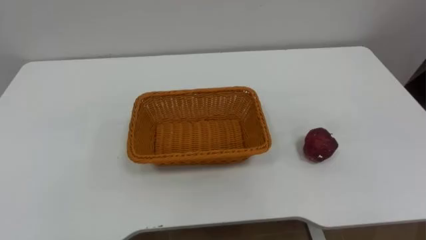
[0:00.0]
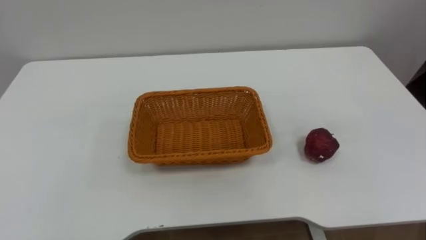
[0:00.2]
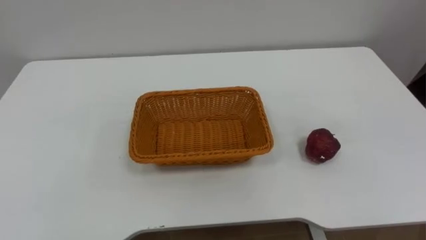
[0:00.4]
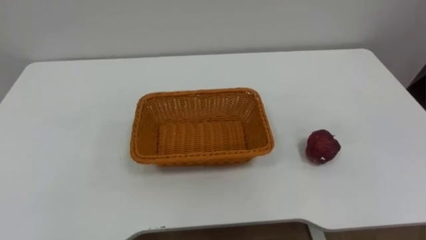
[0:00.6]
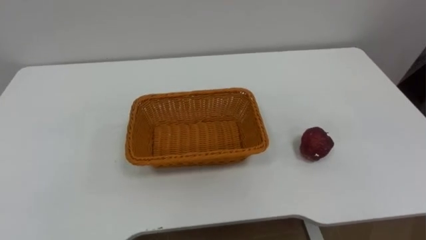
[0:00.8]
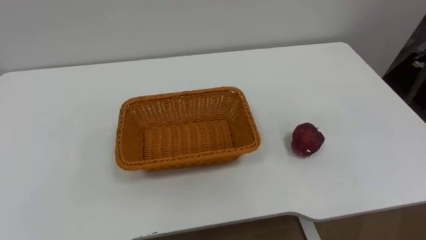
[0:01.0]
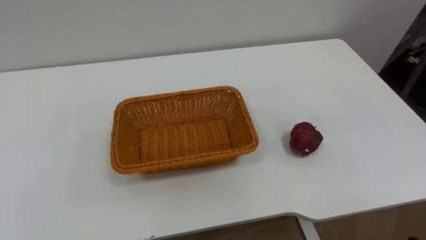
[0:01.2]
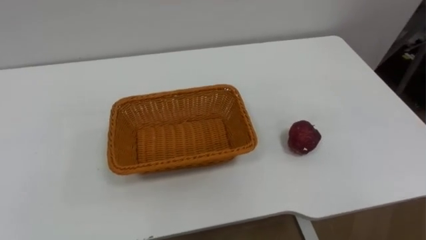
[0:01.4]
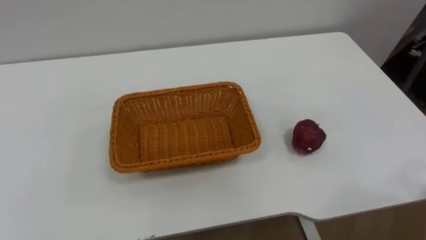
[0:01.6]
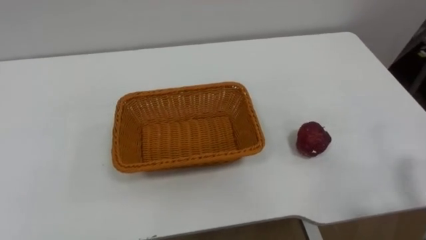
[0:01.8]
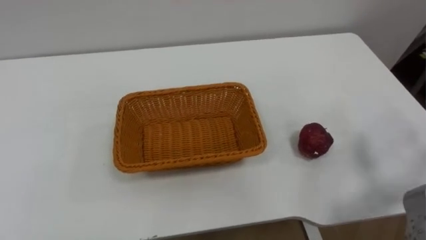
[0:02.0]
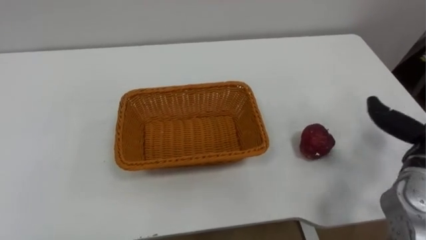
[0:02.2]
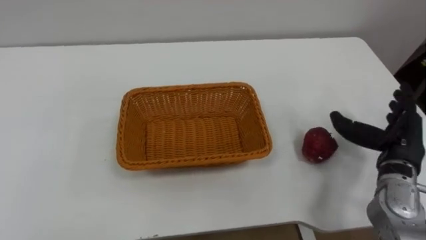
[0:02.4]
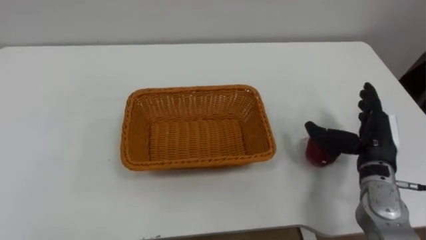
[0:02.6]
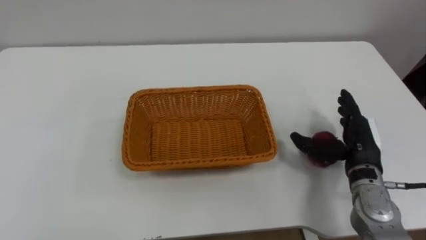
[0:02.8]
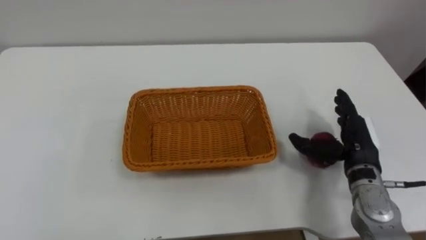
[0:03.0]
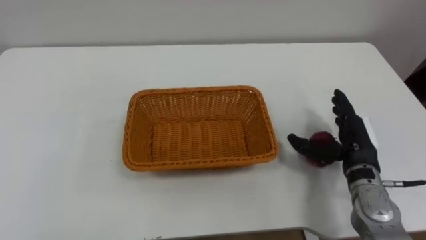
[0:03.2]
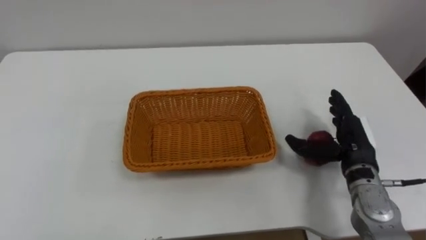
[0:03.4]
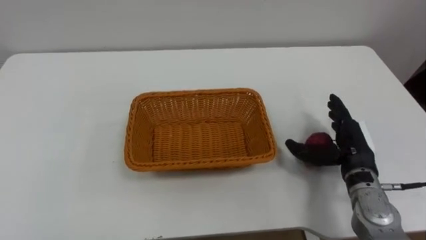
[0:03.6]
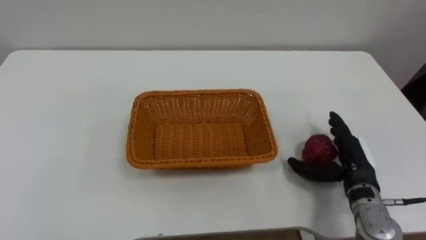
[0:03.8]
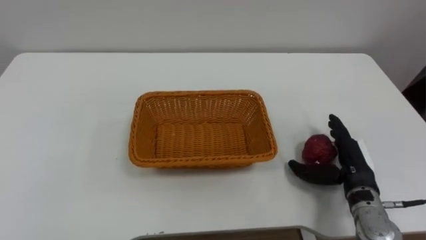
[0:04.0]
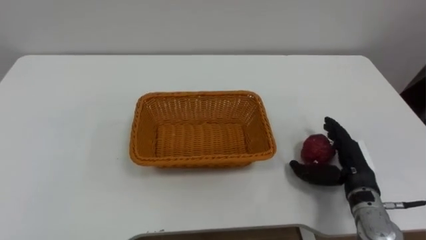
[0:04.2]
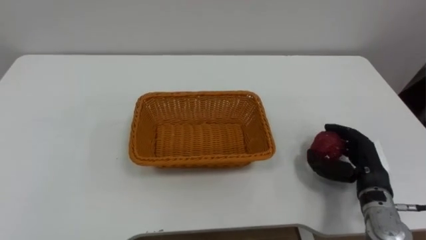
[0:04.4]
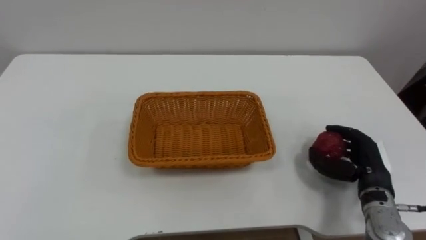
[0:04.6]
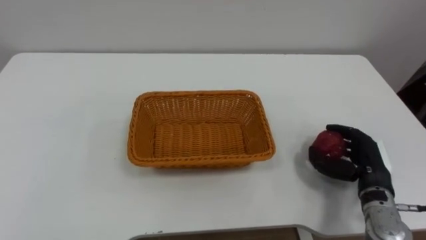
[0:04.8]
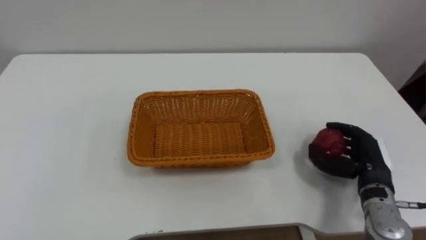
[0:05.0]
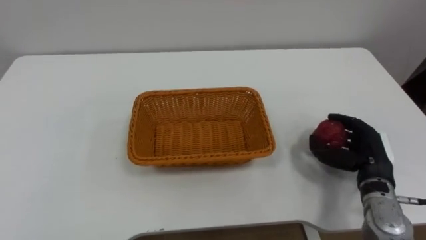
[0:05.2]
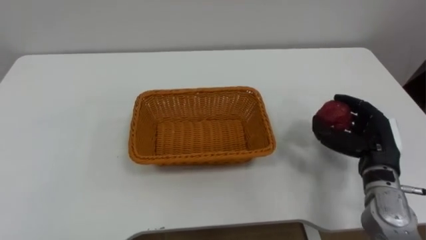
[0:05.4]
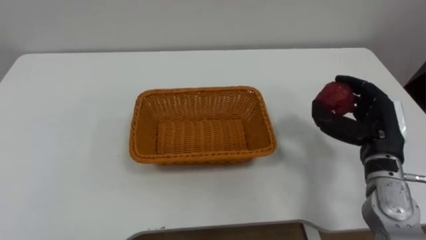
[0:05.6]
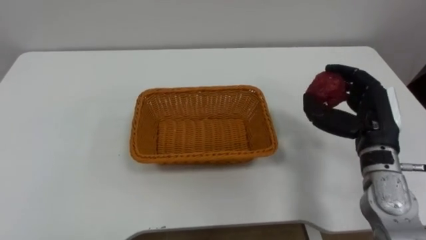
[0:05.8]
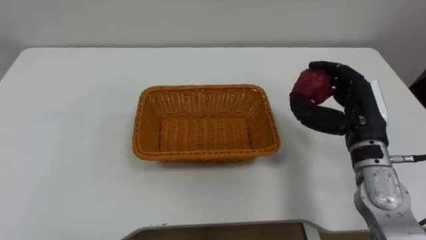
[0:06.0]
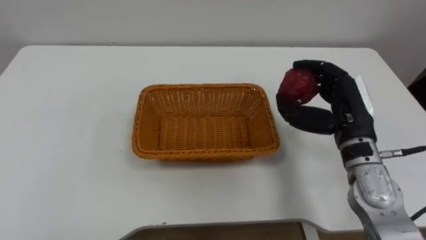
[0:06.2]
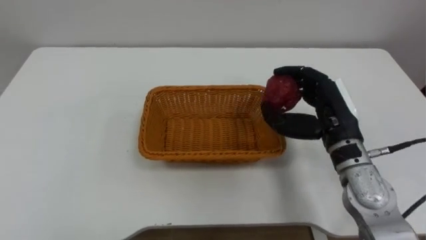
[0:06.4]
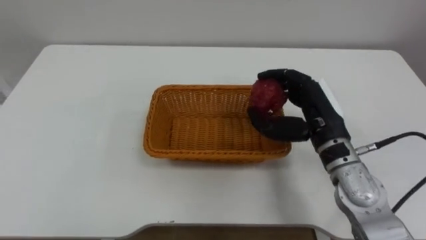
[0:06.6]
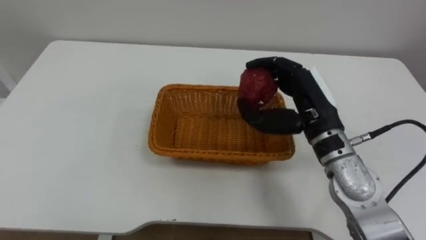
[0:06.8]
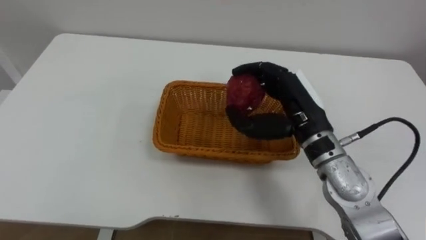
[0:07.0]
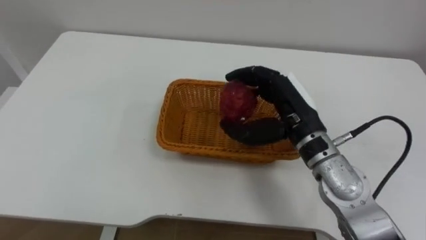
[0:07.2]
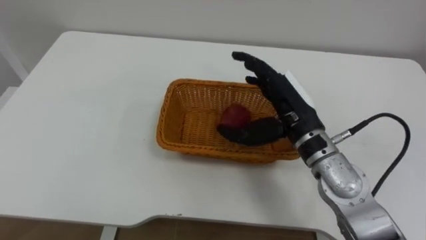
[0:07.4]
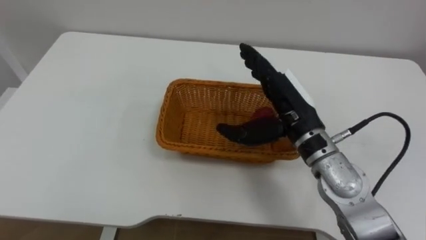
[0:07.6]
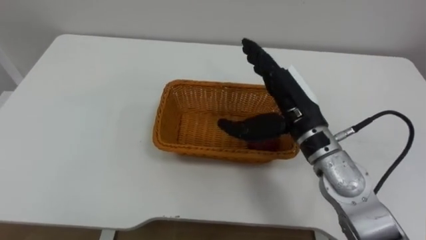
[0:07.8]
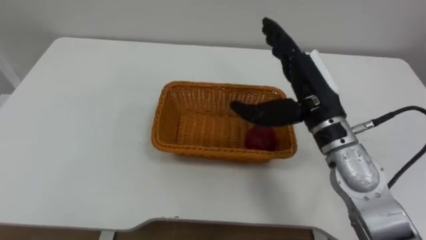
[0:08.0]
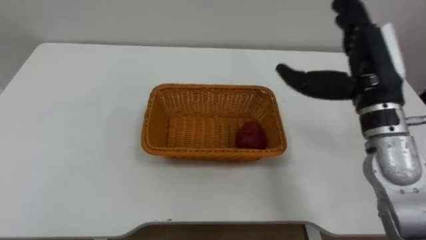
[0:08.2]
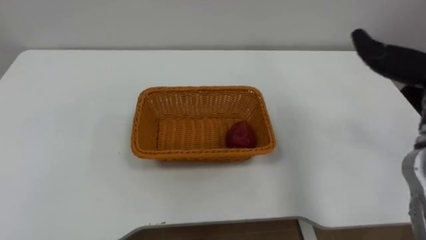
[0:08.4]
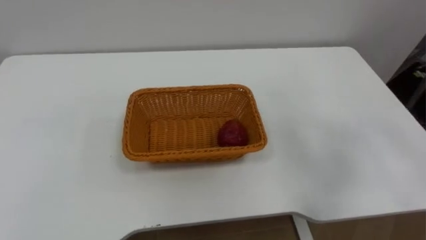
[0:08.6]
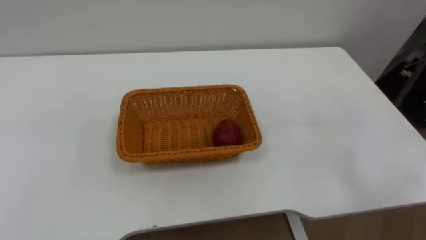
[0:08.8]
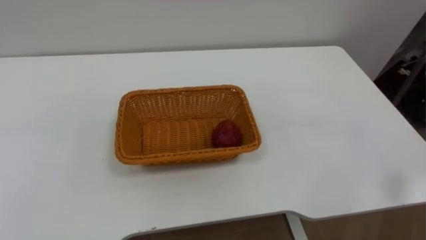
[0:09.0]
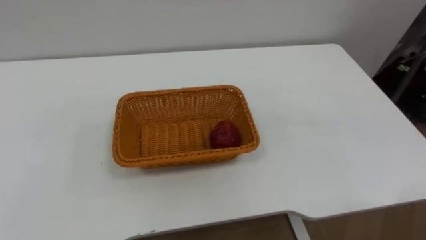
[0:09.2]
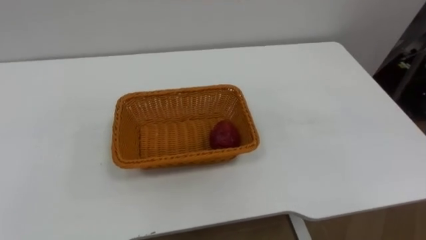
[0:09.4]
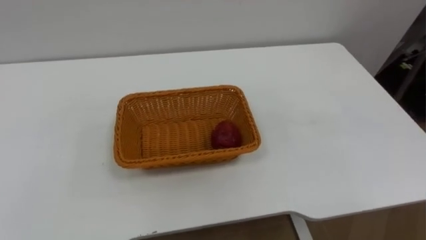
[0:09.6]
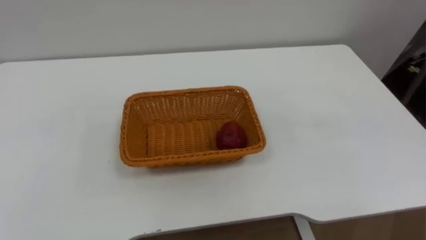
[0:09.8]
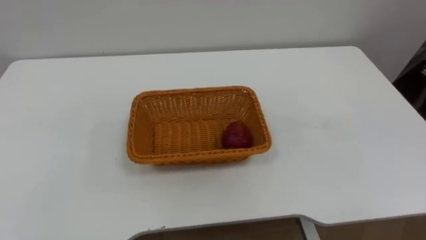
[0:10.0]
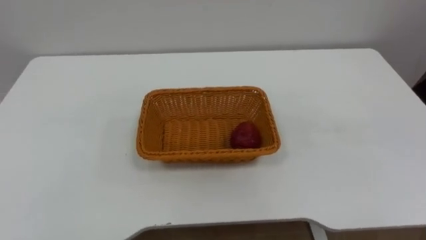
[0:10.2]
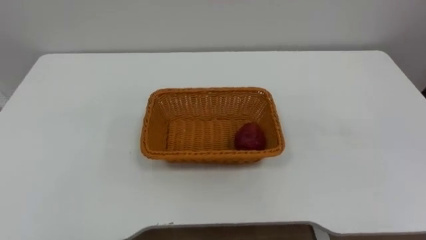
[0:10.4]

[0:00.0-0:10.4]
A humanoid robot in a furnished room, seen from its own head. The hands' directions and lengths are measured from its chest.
Task of the whole recording: Pick the apple and place it in the box.
0:03.0 to 0:04.4: The right hand shifts by some 5 cm.
0:04.4 to 0:06.0: The right hand shifts approximately 10 cm upward.
0:06.0 to 0:07.4: The right hand goes roughly 10 cm to the left.

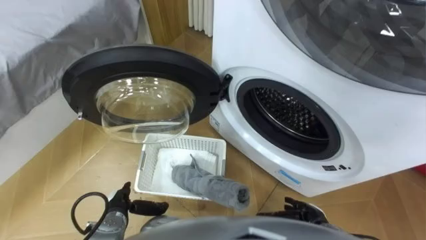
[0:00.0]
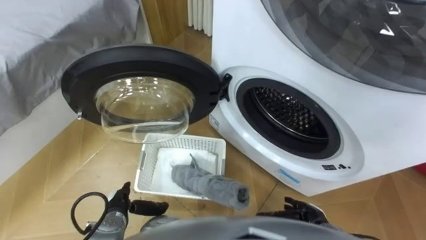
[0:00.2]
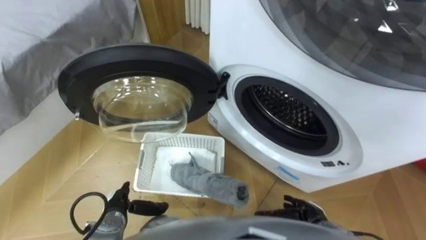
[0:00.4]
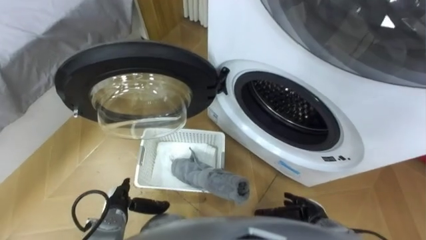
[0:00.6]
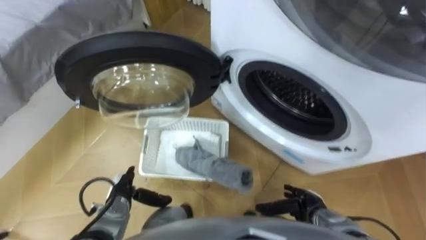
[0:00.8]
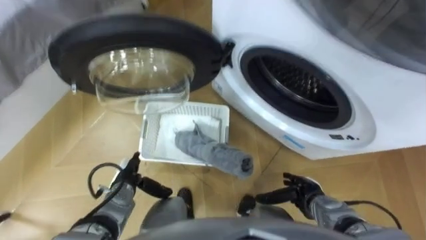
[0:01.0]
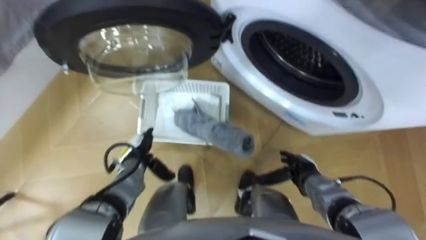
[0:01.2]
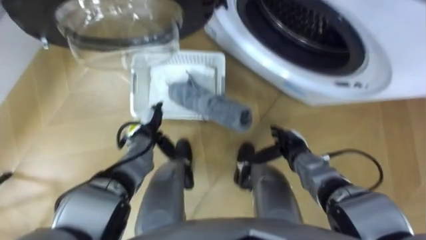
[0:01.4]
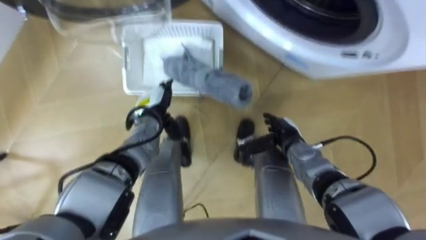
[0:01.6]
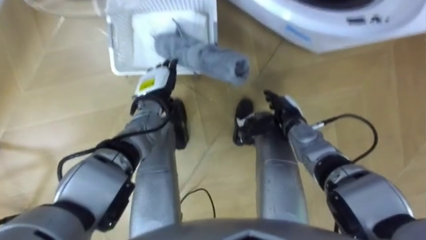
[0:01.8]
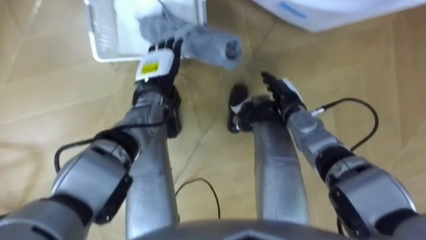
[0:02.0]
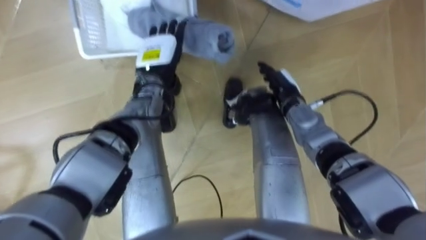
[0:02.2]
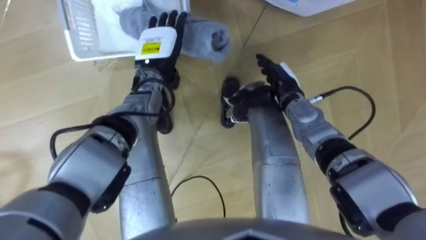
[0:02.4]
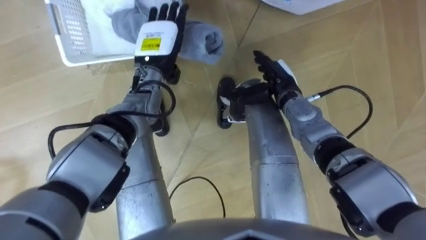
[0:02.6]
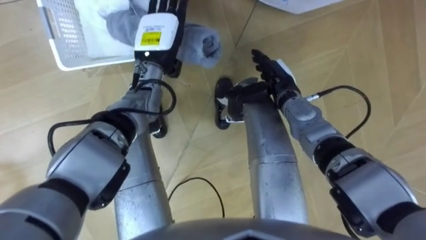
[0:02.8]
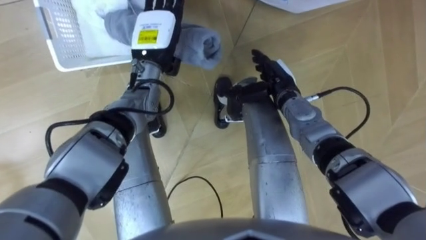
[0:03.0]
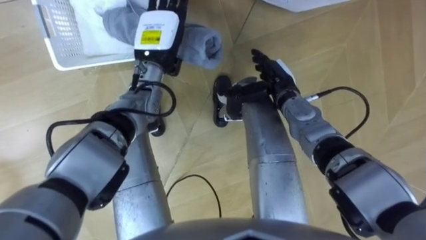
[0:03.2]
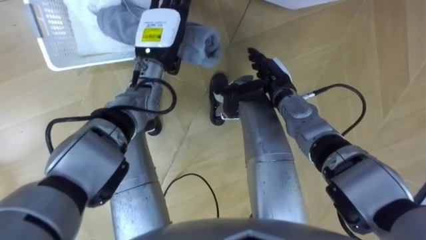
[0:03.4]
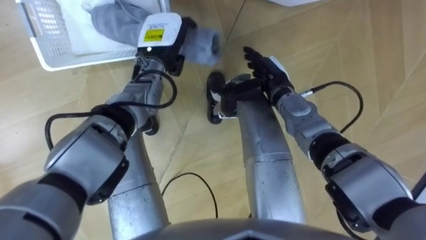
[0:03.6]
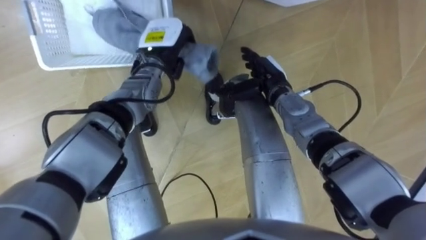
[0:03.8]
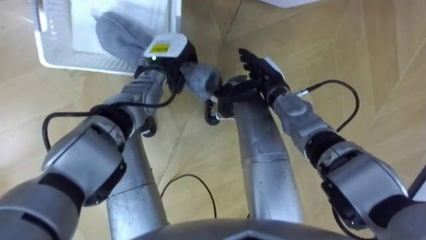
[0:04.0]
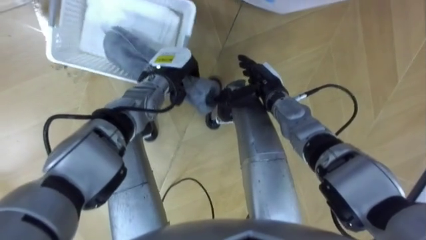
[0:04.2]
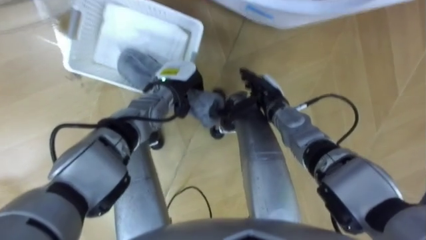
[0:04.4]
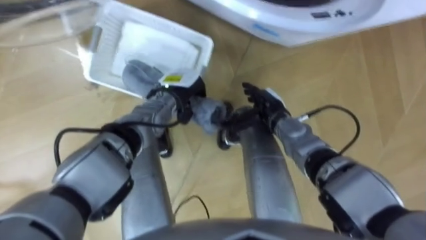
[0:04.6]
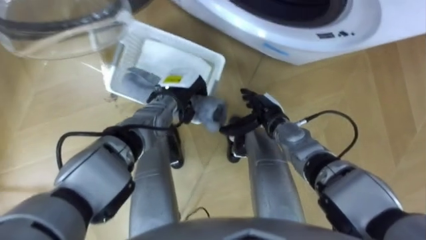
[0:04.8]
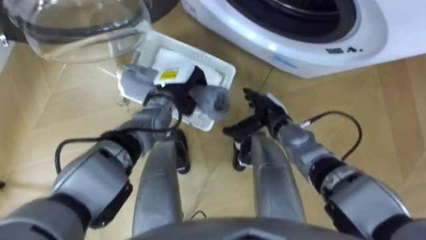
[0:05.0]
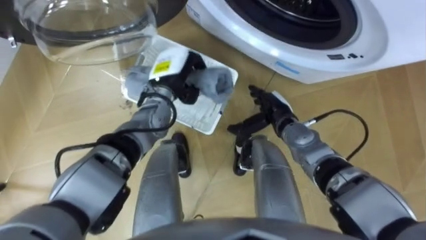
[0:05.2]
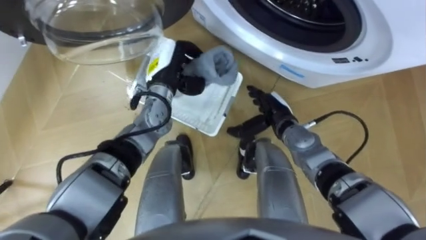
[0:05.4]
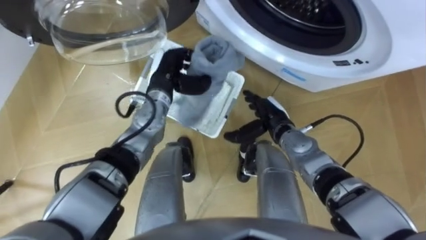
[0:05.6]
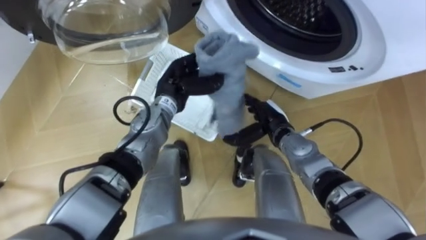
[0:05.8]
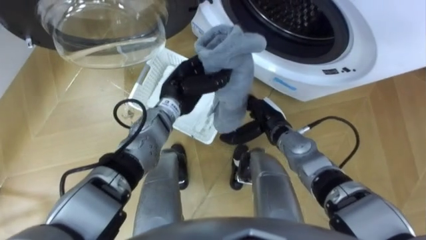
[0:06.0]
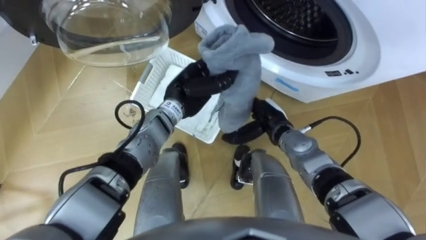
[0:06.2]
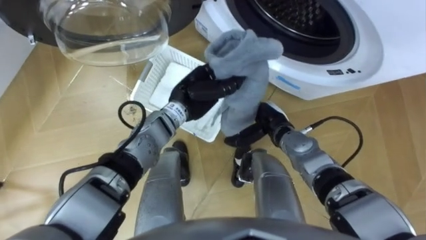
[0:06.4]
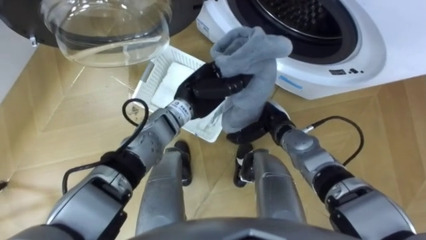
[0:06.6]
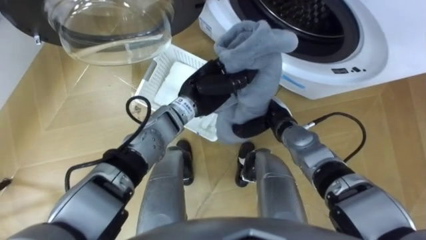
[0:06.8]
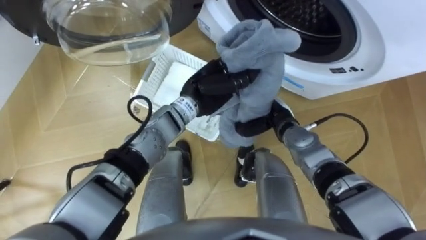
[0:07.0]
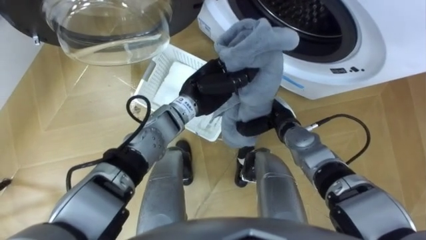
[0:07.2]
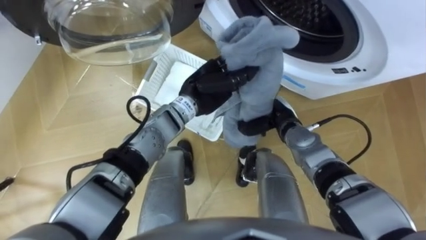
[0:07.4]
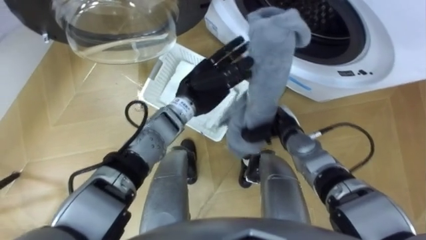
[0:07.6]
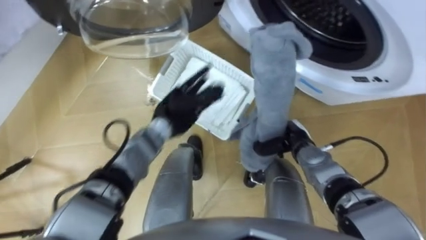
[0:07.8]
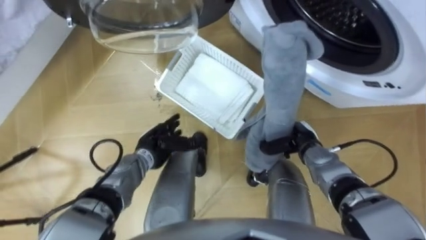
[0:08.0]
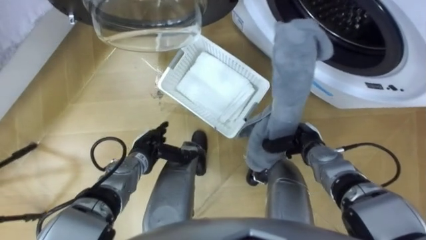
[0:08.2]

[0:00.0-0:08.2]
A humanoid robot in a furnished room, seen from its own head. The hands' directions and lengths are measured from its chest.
Task of the whole recording: Take the towel from the basket and put it into the washing machine.
0:01.6 to 0:03.2: The left hand heads upward and forward, covering roughly 15 cm. Meanwhile the right hand shifts approximately 15 cm forward and upward.
0:03.2 to 0:05.0: The right hand moves approximately 5 cm. The left hand heads downward, covering roughly 10 cm, and closes up.
0:05.0 to 0:06.6: The left hand shifts about 5 cm to the right.
0:06.6 to 0:08.2: The left hand goes about 20 cm downward, to the left and backward, and opens; the right hand moves to the right, some 10 cm, and closes its fingers.
